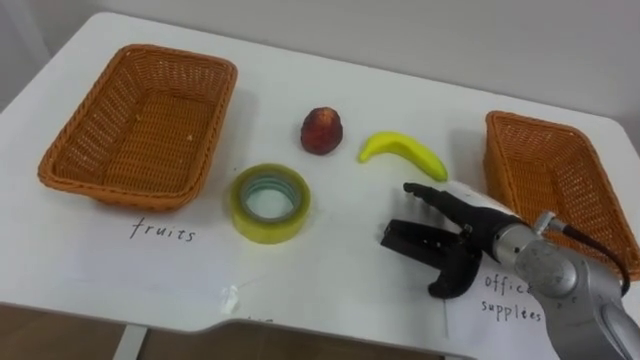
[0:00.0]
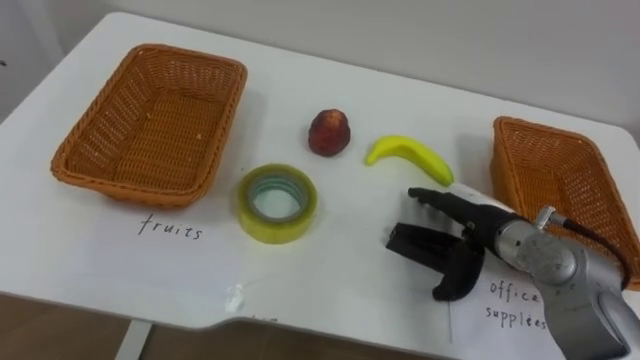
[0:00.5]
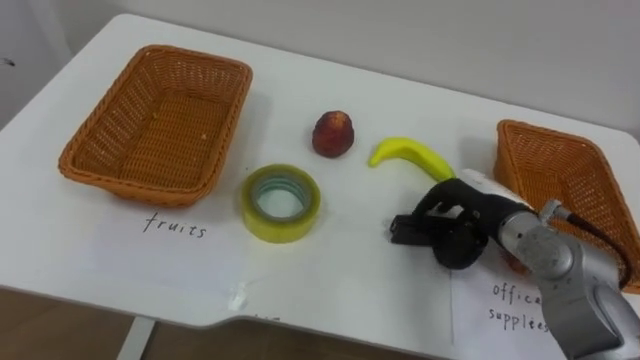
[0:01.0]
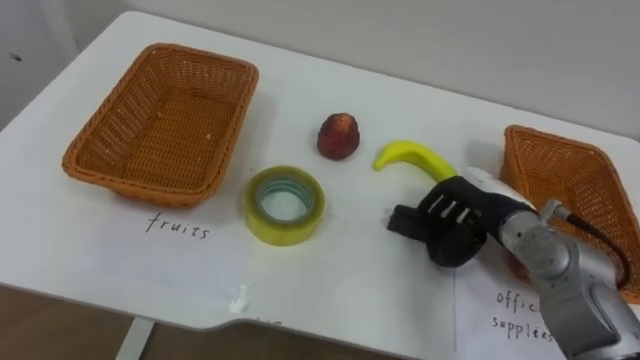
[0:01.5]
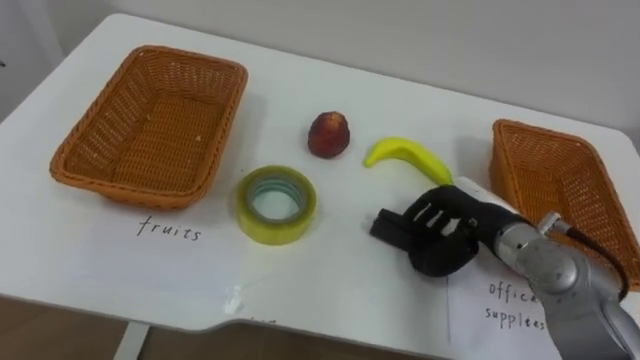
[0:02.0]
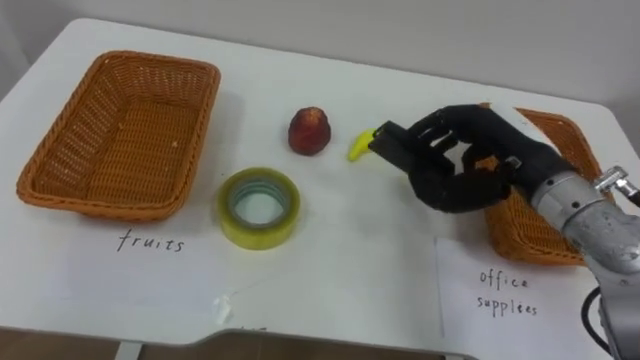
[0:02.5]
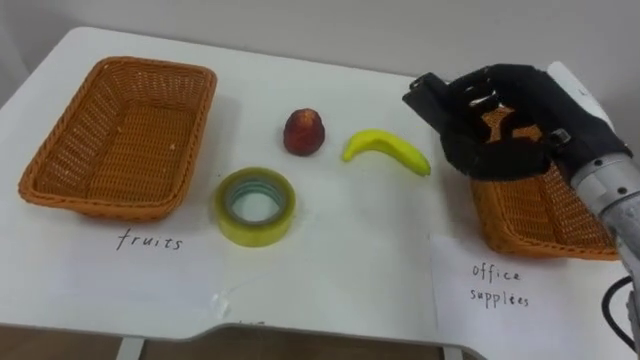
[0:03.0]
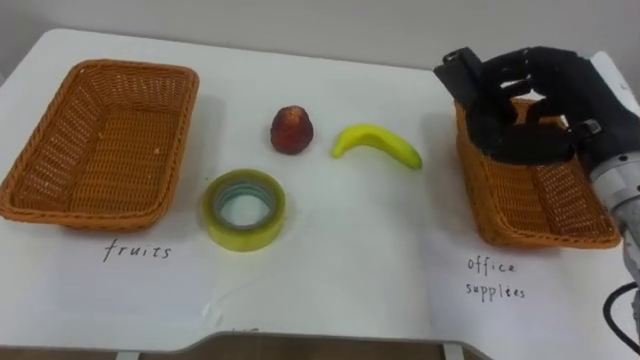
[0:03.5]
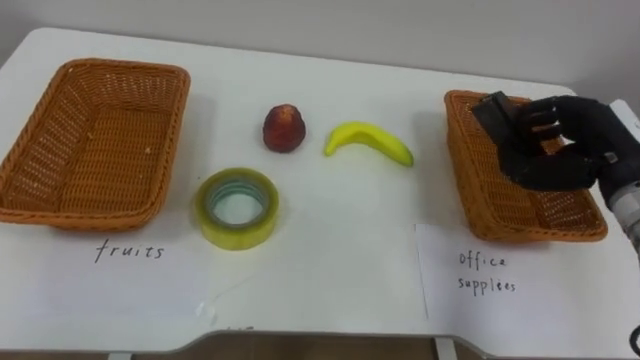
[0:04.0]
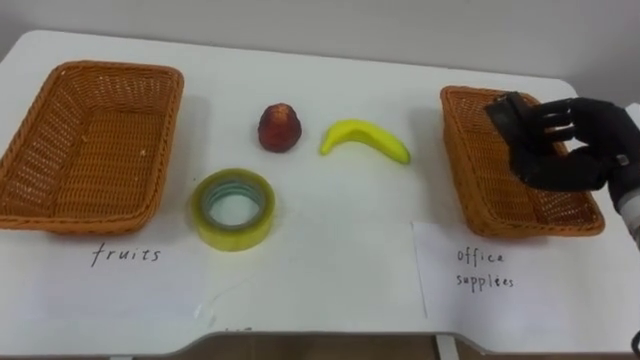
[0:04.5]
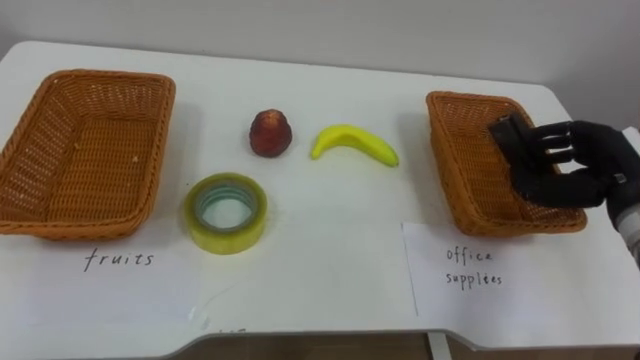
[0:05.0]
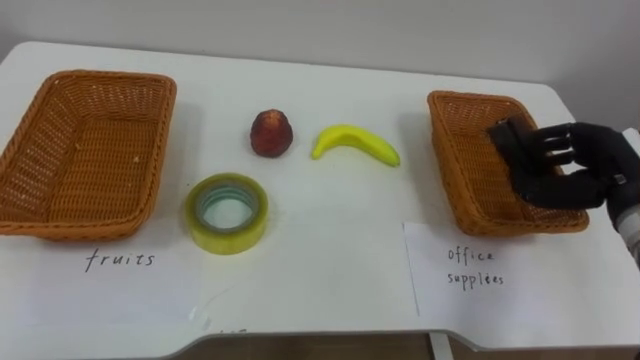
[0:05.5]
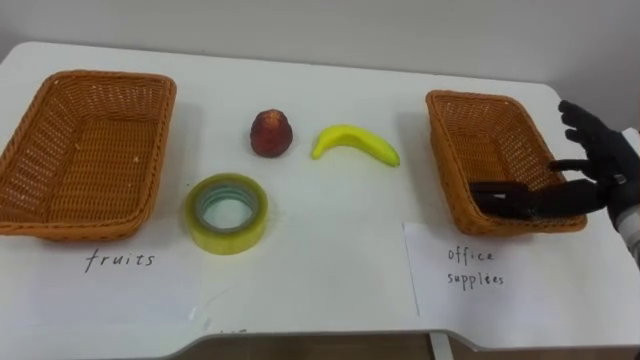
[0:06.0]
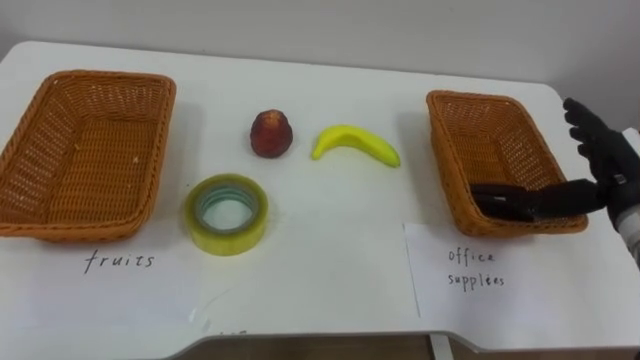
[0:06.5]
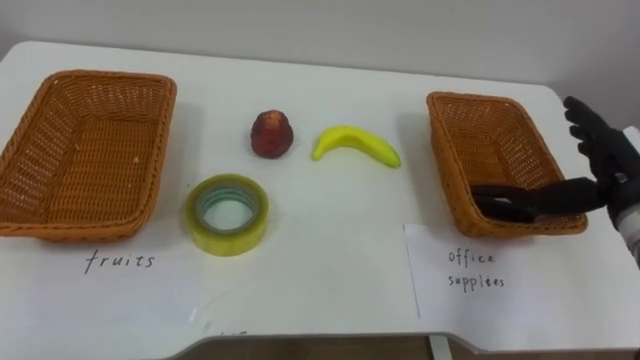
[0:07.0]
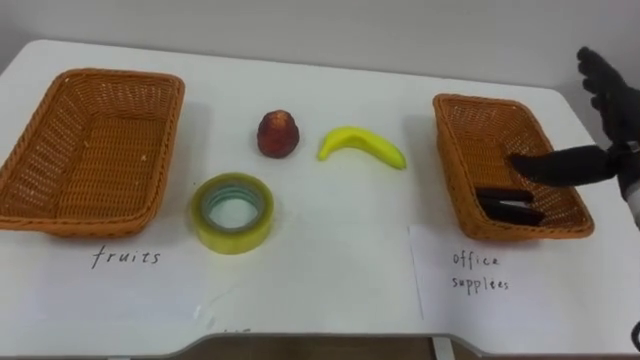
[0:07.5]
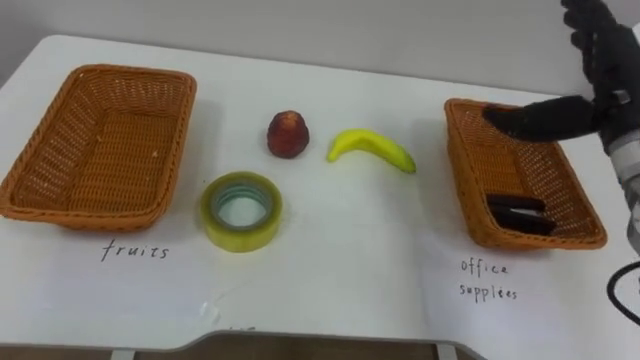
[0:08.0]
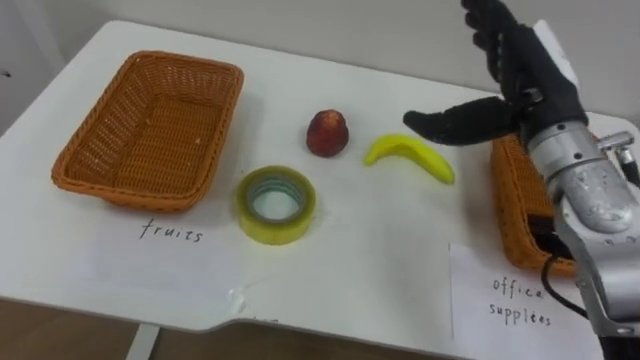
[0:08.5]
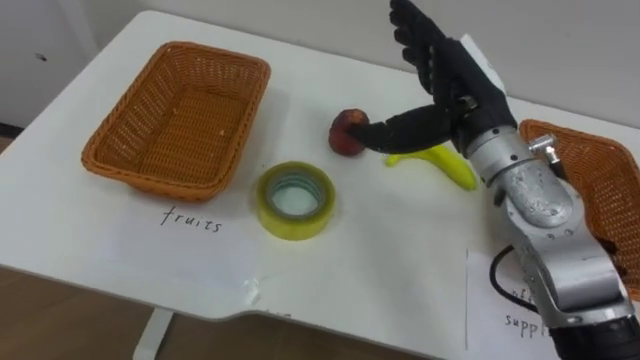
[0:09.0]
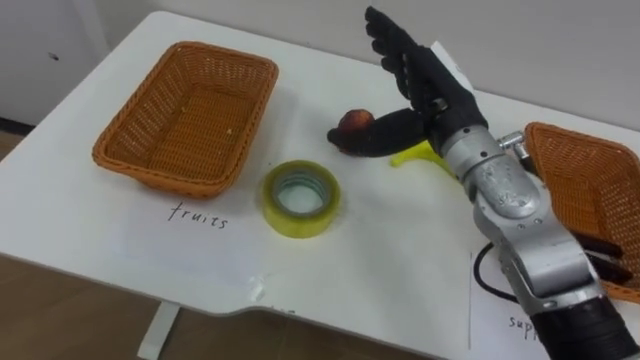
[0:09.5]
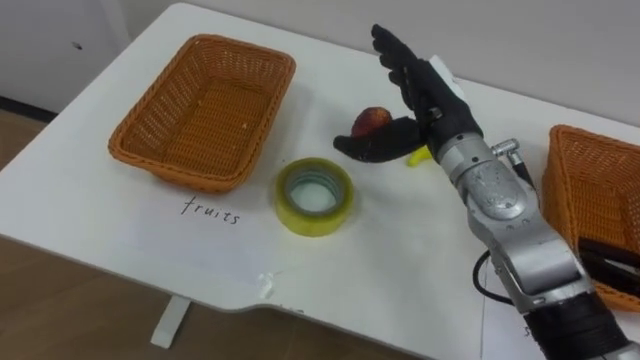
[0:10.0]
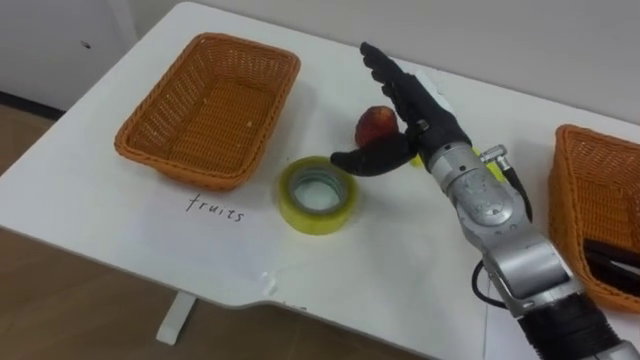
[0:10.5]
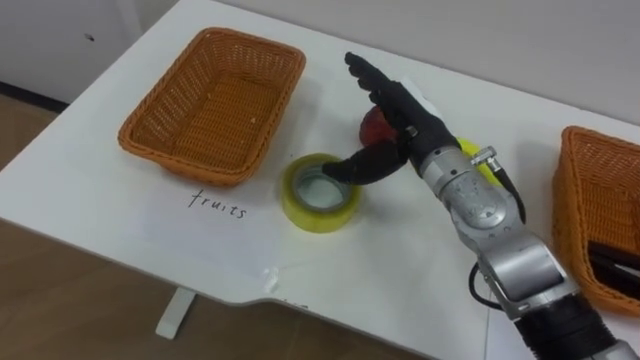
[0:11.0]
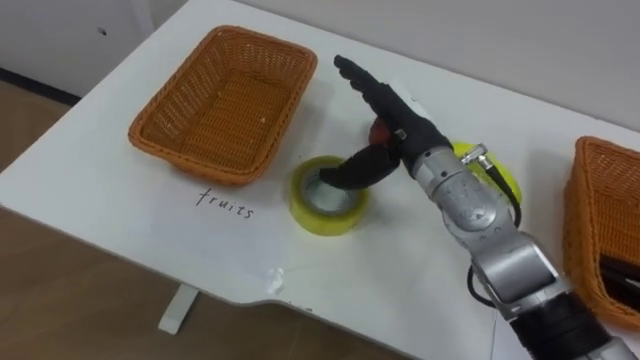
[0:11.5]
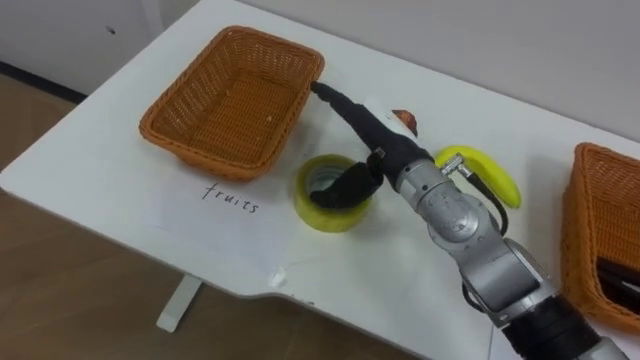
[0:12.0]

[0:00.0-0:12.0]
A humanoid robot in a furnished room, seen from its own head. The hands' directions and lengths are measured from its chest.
Task of the whole recording: Separate the items on the table and place them into the two baskets.
0.0 to 2.0 s: The right hand closes its fingers.
2.0 to 4.0 s: The right hand shifts about 15 cm to the right and upward.
4.0 to 6.0 s: The right hand opens.
6.0 to 8.0 s: The right hand heads upward and to the left, covering some 10 cm.
8.0 to 10.0 s: The right hand shifts some 15 cm to the left.
10.0 to 12.0 s: The right hand goes roughly 5 cm to the left.

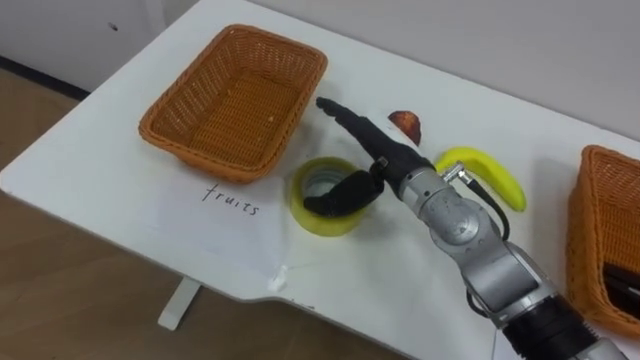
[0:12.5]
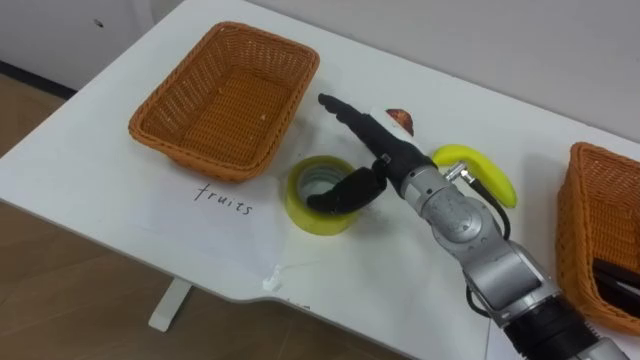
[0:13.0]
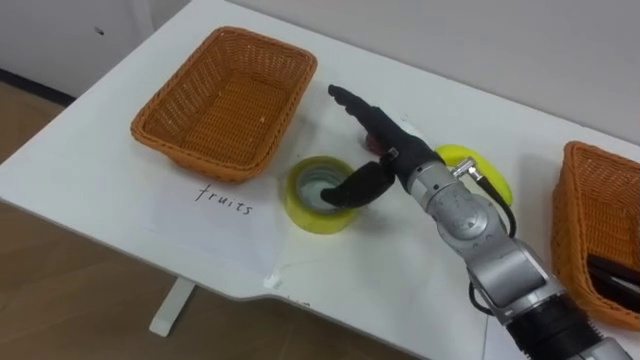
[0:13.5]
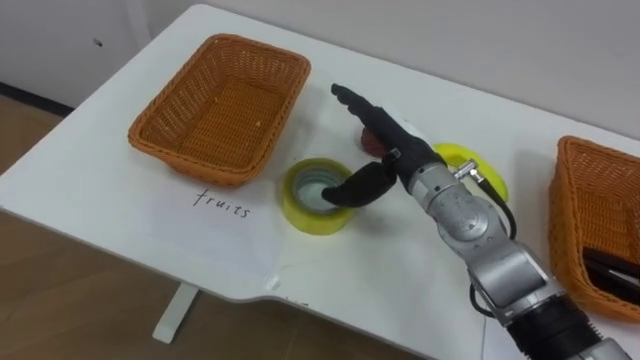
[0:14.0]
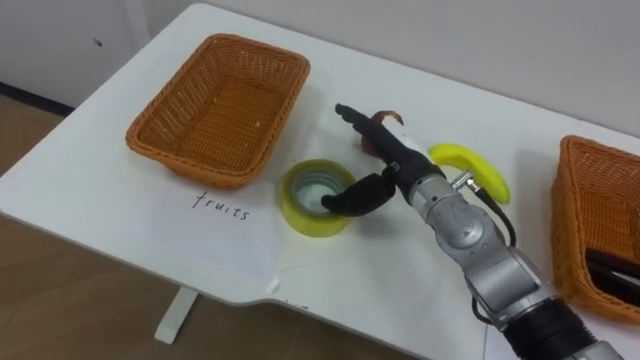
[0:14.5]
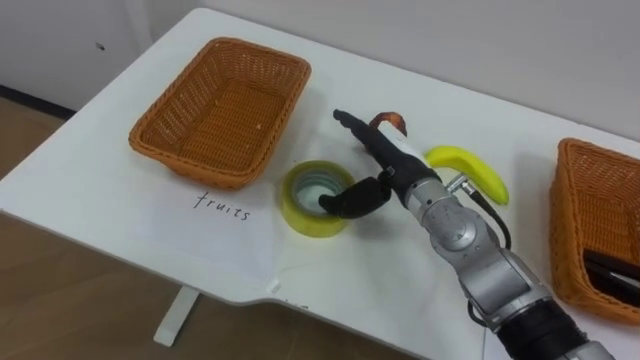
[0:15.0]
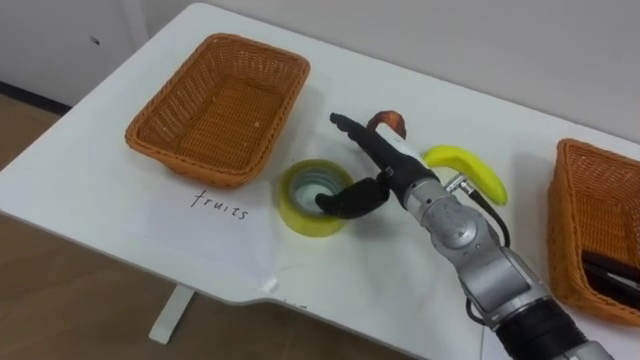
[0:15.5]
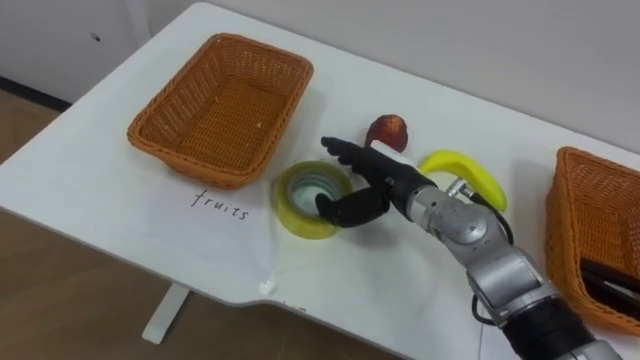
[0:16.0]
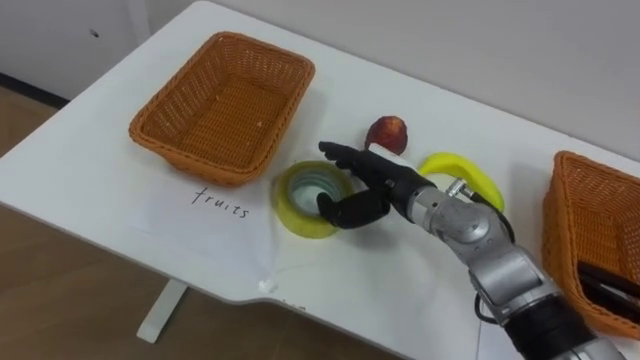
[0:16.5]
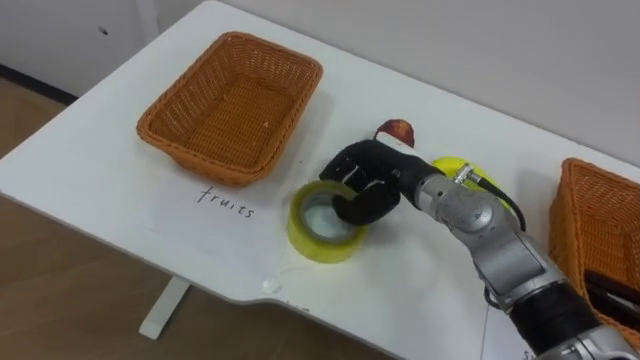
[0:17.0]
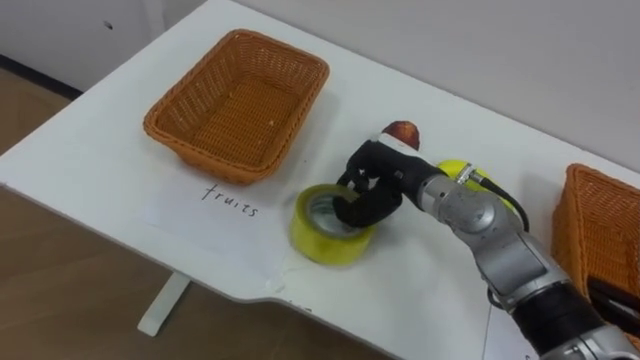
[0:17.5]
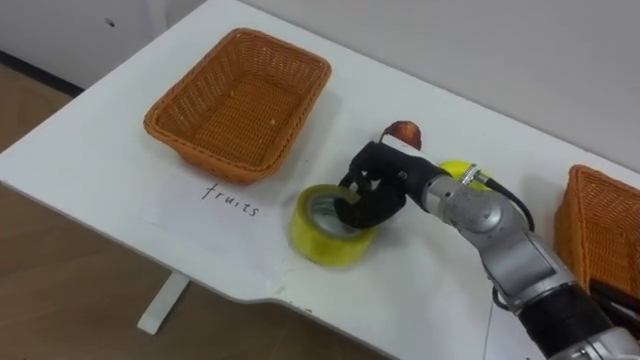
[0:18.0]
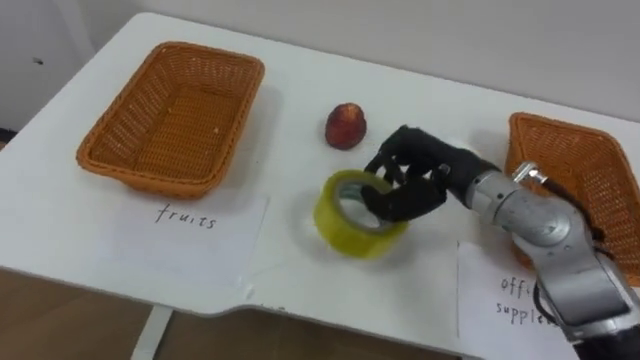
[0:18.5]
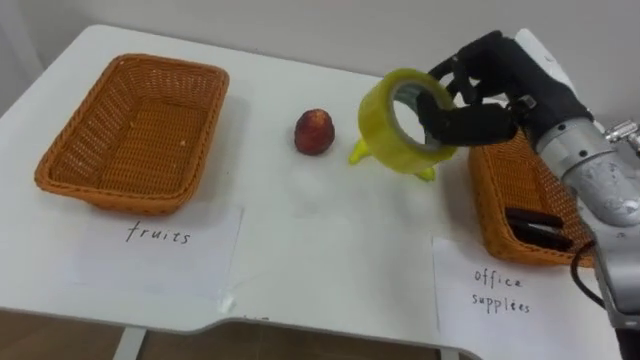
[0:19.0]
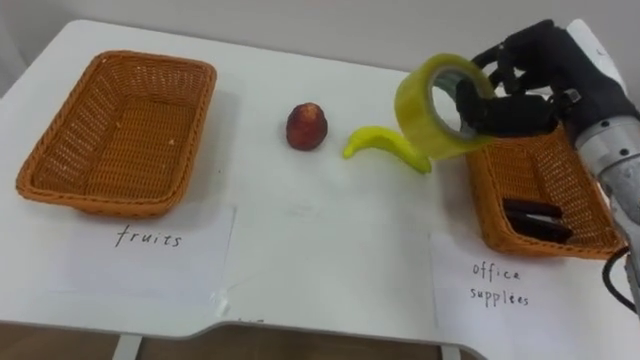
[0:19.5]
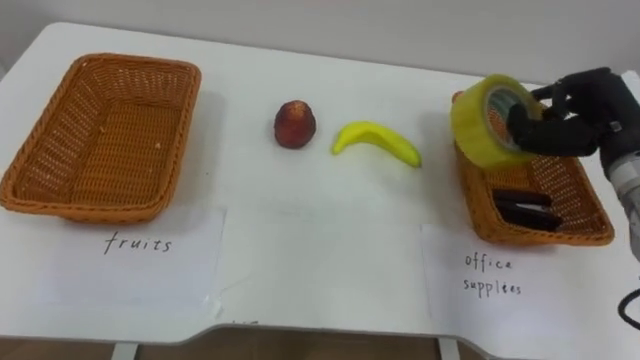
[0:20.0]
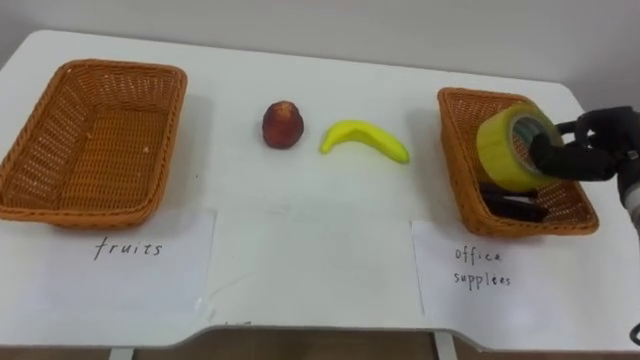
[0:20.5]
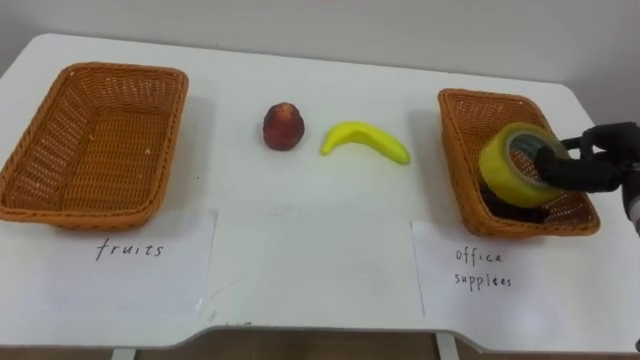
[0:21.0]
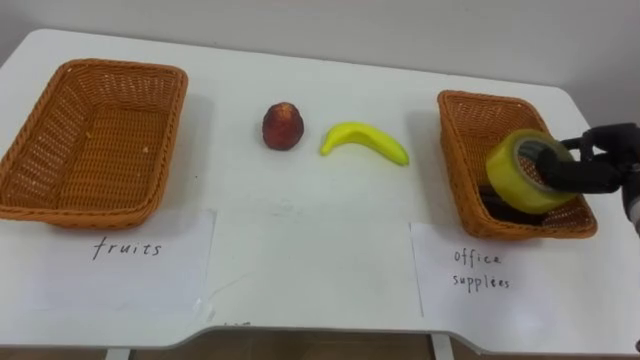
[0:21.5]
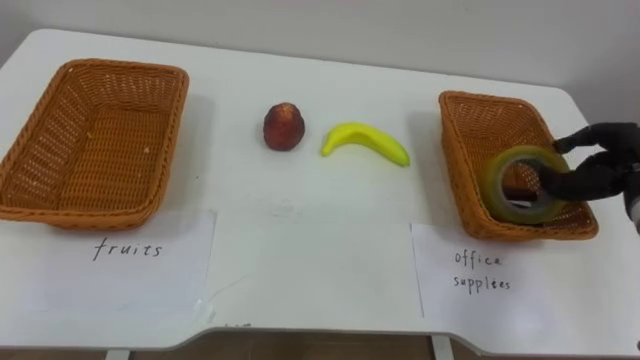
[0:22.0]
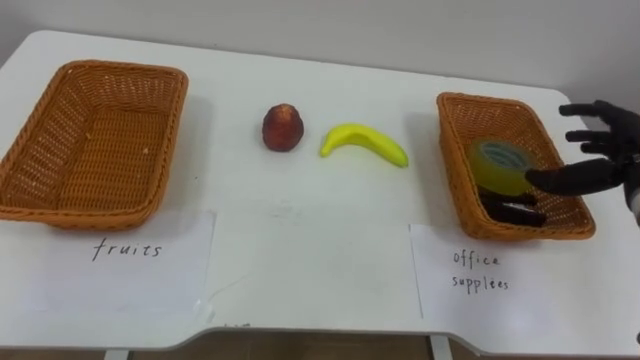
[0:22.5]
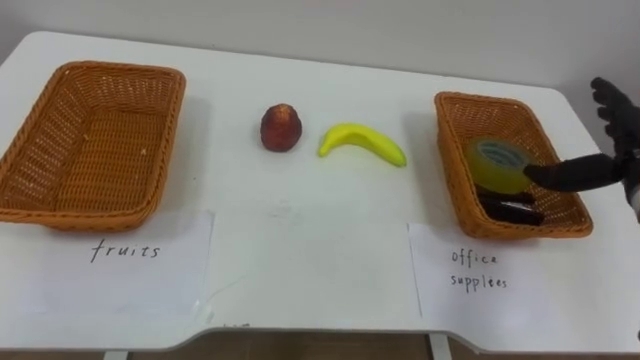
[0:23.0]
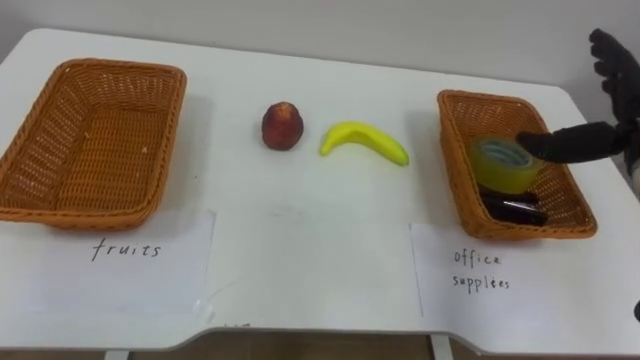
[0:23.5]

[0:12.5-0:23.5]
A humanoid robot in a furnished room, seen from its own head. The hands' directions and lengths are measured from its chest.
Task of the whole recording: Separate the items on the table and place them into the two baskets.
16.0 to 18.0 s: The right hand closes up.
18.0 to 20.0 s: The right hand shifts some 25 cm to the right and upward.
20.0 to 21.5 s: The right hand shifts approximately 10 cm downward and to the right.
21.5 to 23.5 s: The right hand shifts some 5 cm upward, and opens its fingers.
